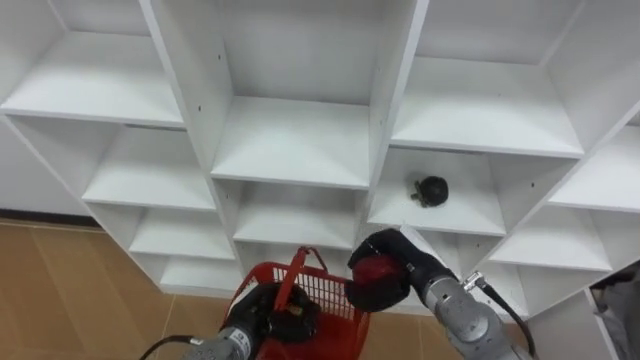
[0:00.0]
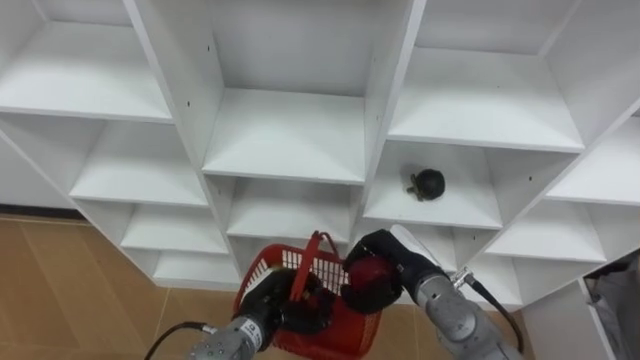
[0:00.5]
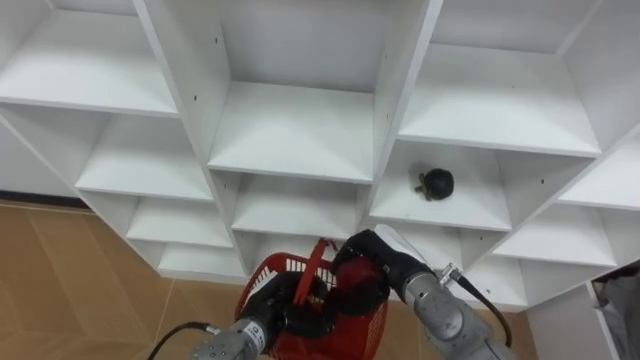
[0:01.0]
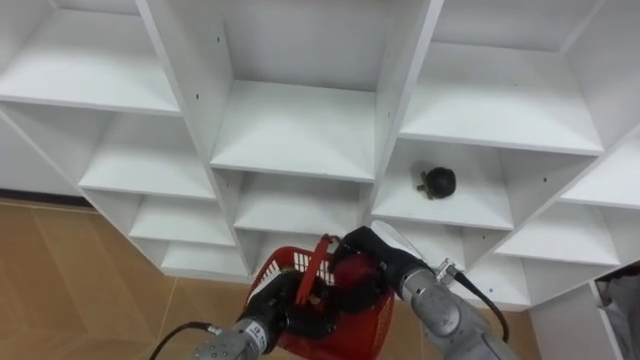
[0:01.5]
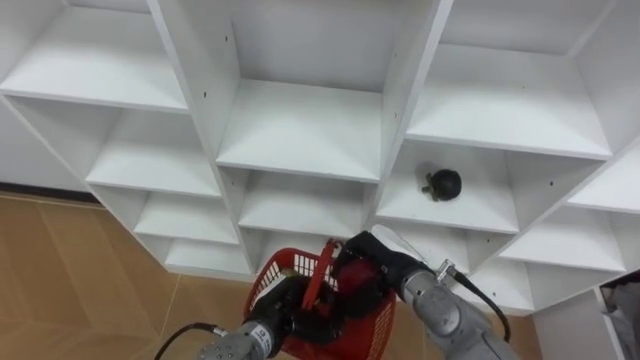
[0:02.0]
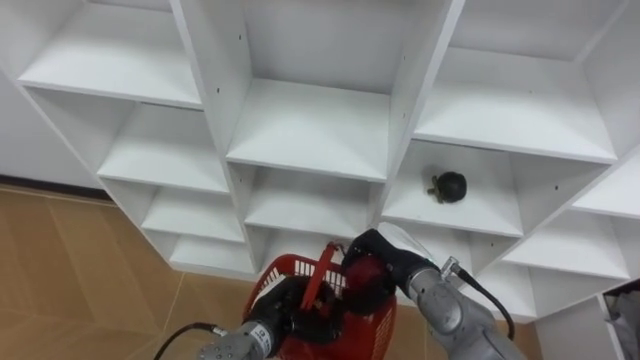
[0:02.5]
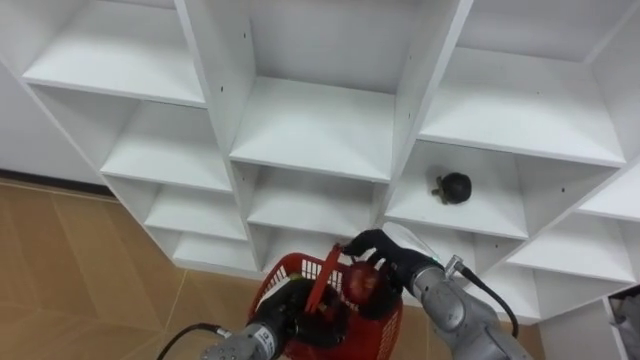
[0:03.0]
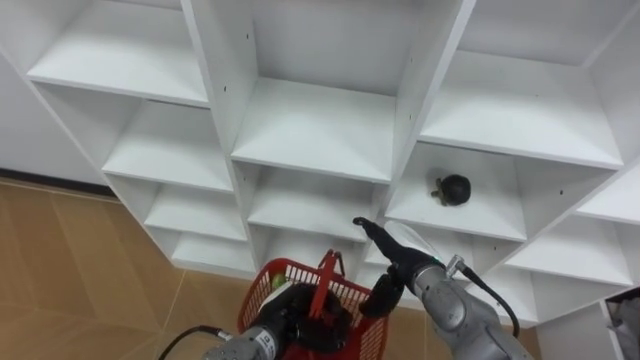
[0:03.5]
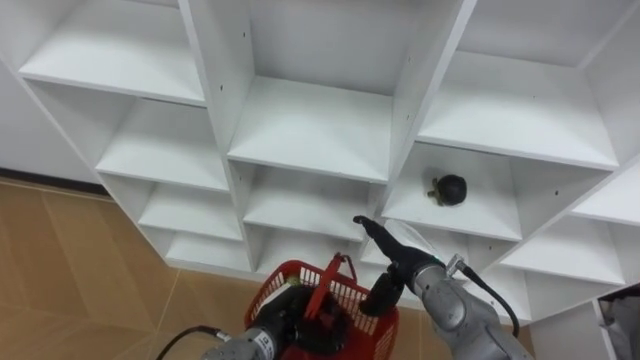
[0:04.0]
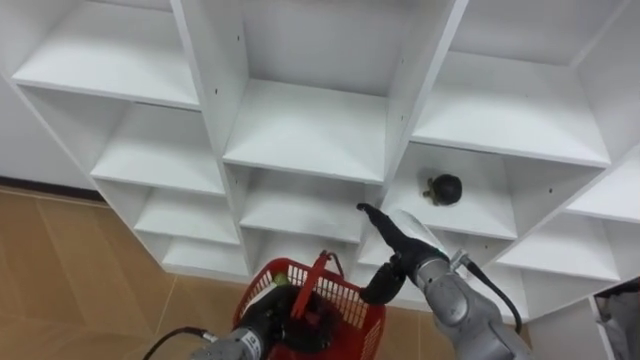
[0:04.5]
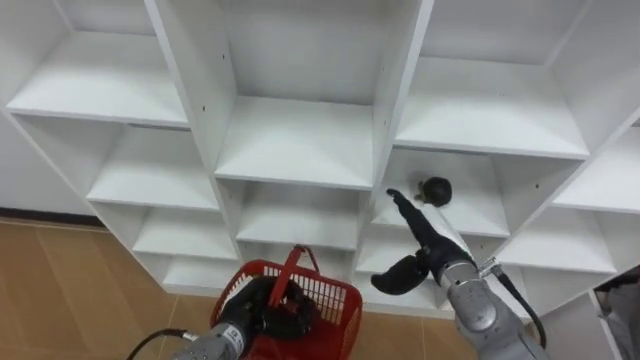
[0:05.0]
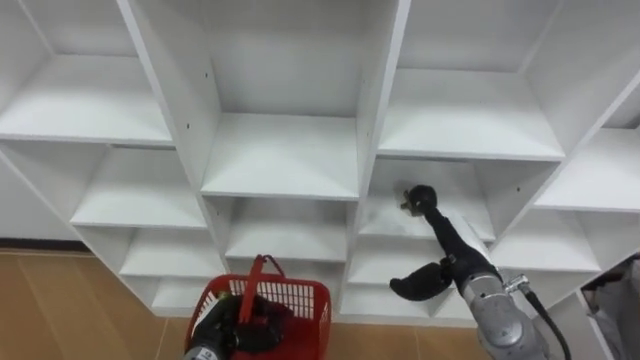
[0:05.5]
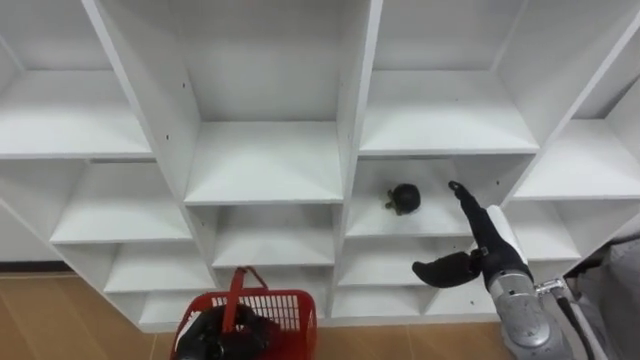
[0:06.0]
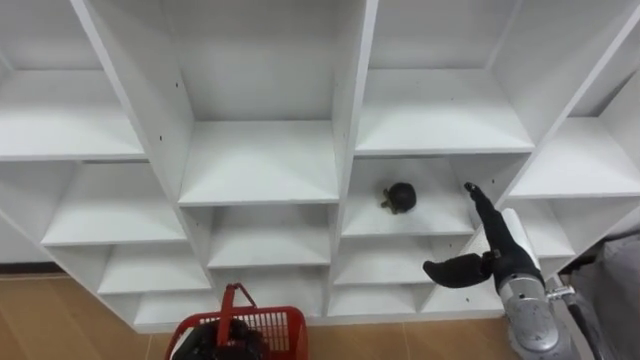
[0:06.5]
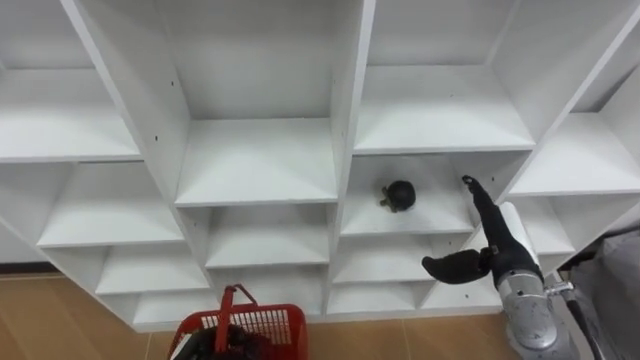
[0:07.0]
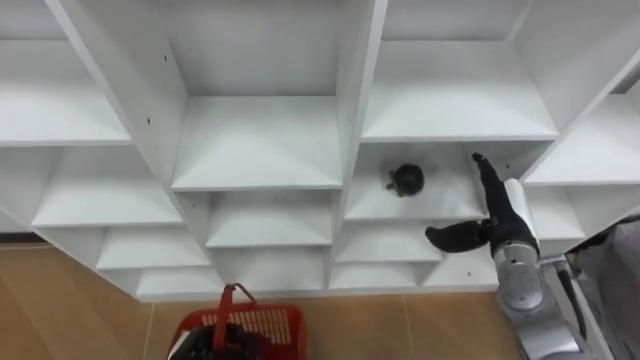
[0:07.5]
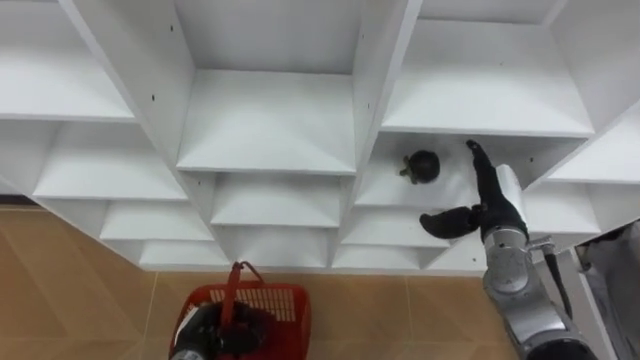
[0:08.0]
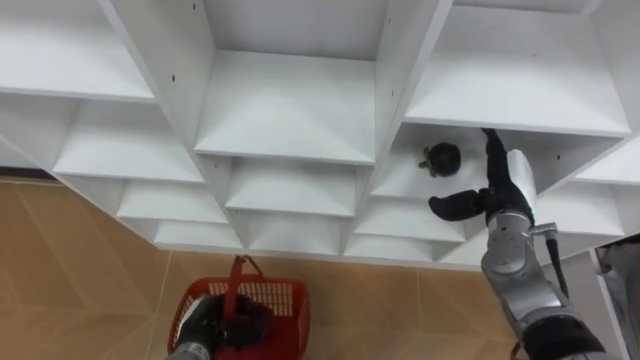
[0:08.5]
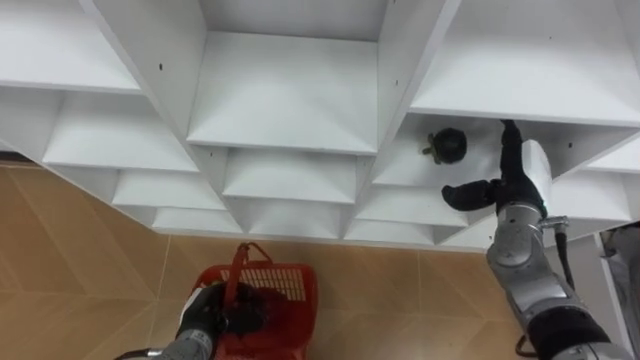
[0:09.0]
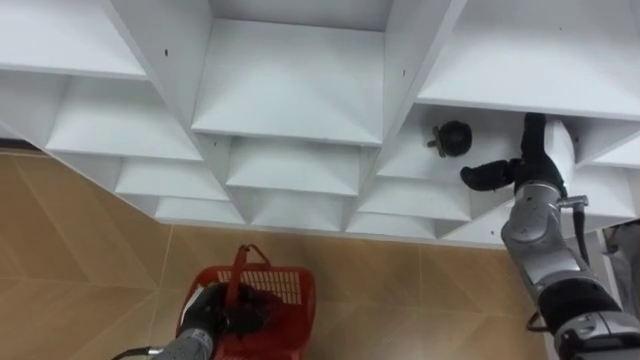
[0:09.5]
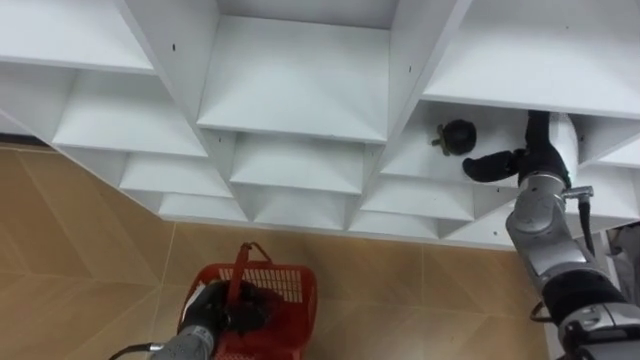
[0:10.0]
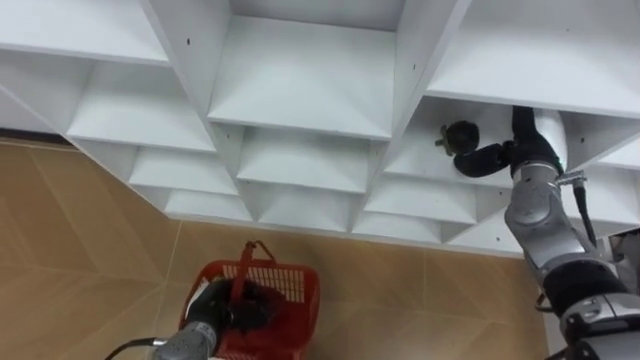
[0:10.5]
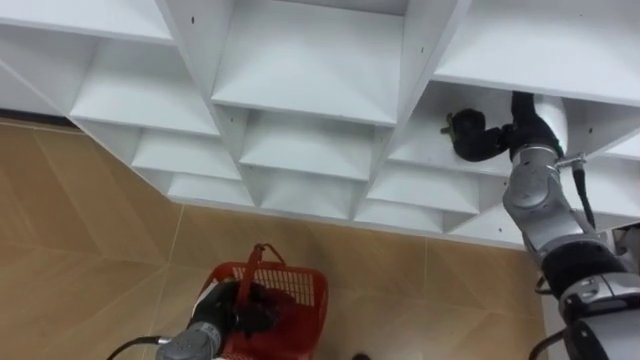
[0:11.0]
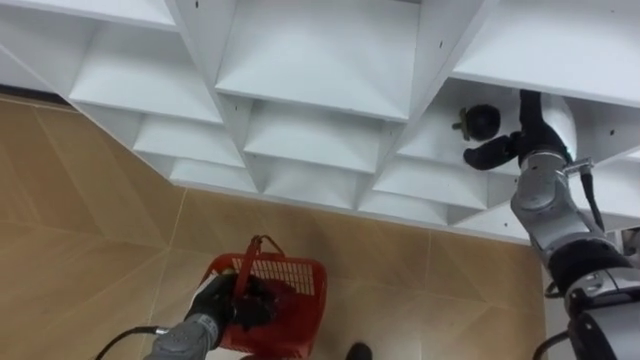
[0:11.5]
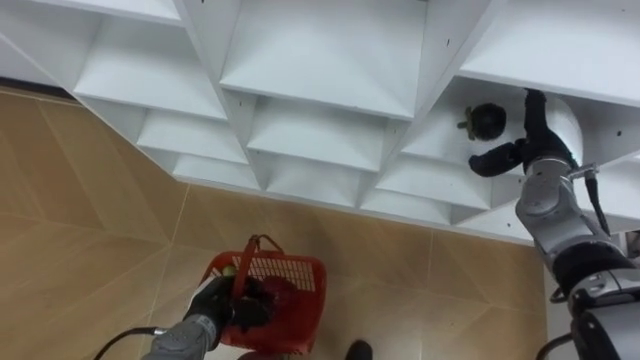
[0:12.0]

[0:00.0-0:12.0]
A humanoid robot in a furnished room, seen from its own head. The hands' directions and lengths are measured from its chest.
Task of the whole recording: Hold the basket and collect the fruits from 3 different cells of the closet into it.
0:02.0 to 0:04.0: The right hand opens its fingers.
0:04.0 to 0:06.0: The left hand shifts roughly 10 cm to the left. The right hand moves to the right, roughly 10 cm.
0:06.0 to 0:08.0: The right hand moves forward, about 5 cm.
0:08.0 to 0:10.0: The right hand moves upward, some 5 cm.

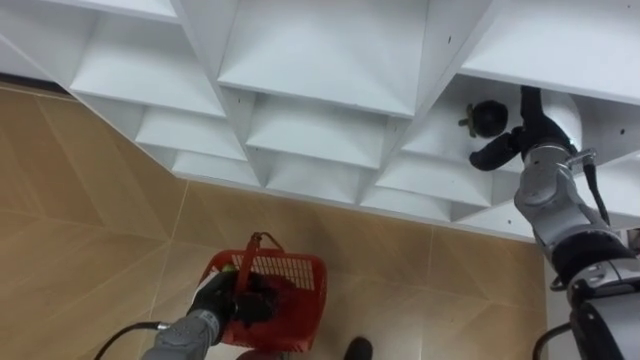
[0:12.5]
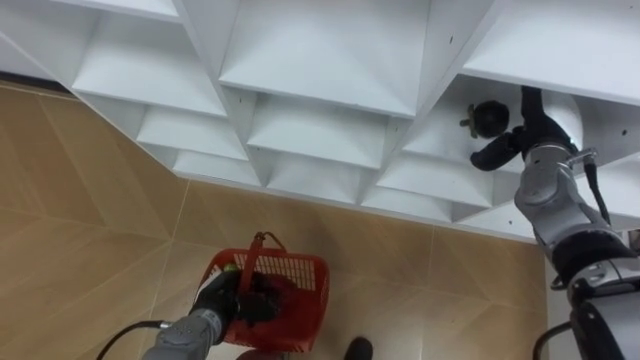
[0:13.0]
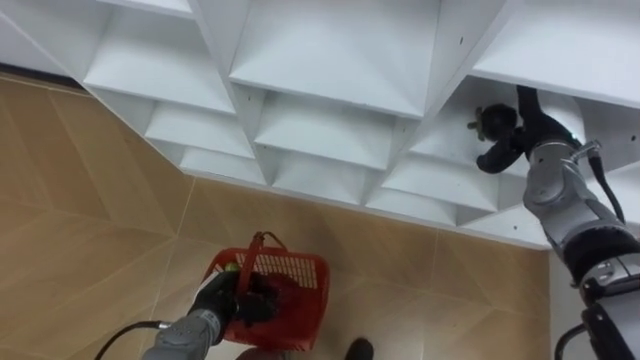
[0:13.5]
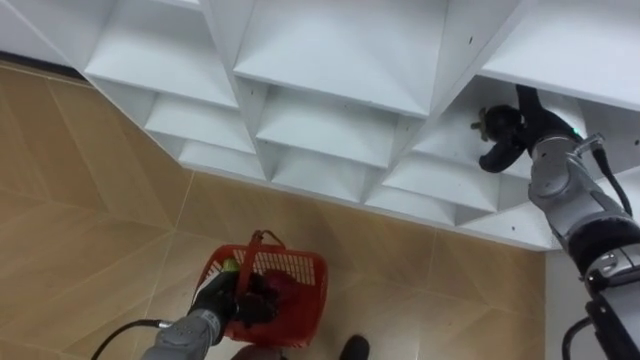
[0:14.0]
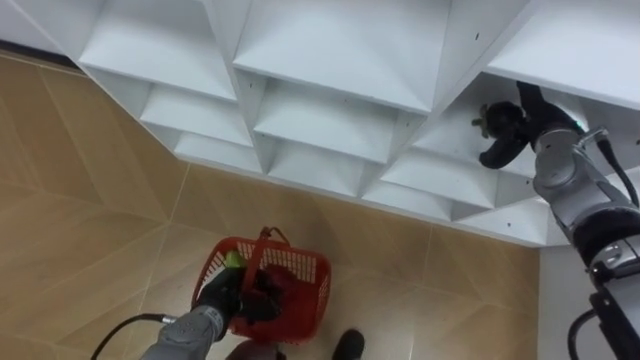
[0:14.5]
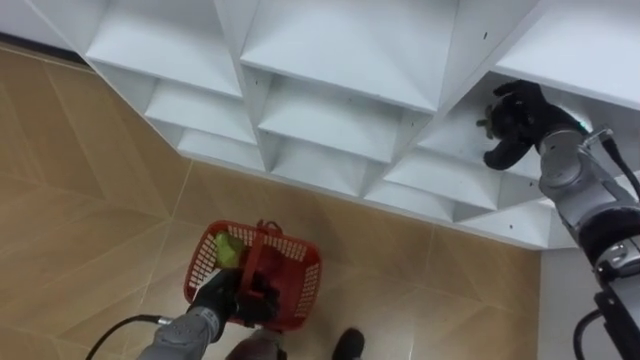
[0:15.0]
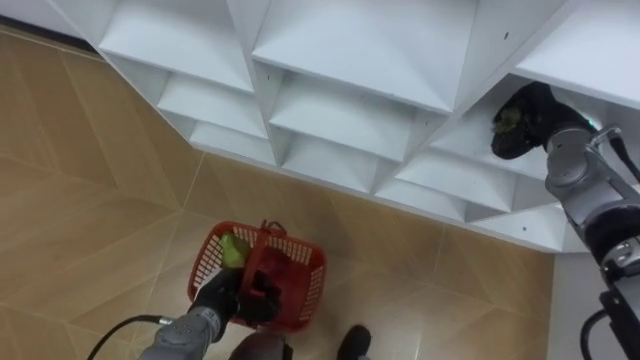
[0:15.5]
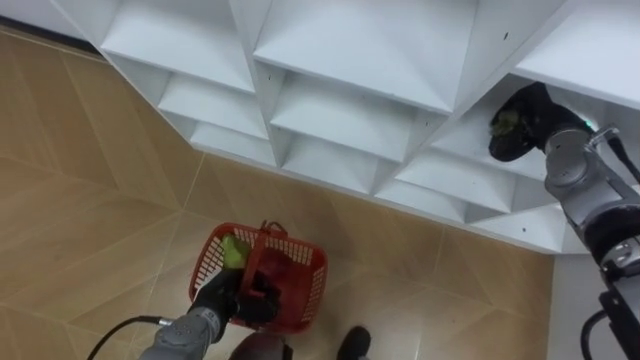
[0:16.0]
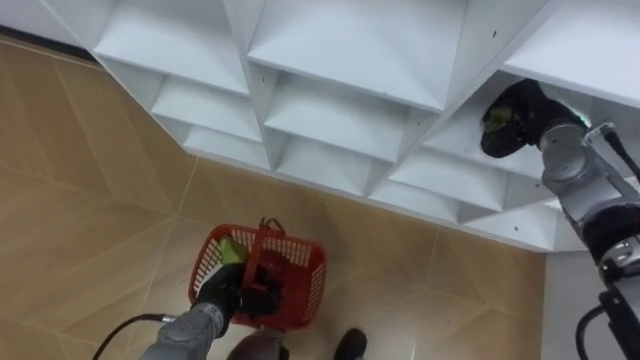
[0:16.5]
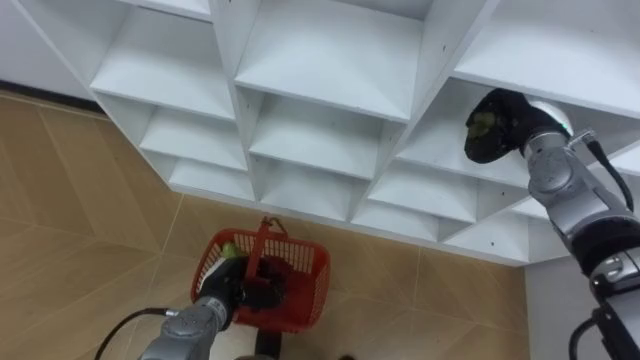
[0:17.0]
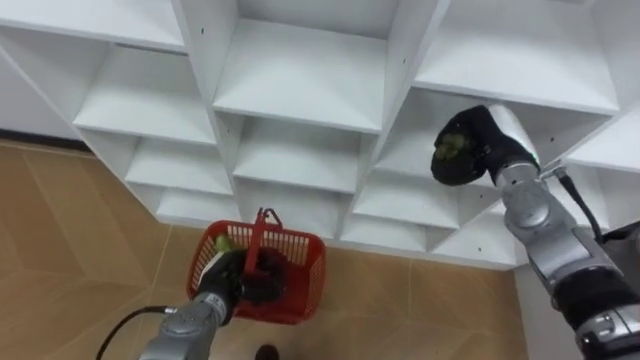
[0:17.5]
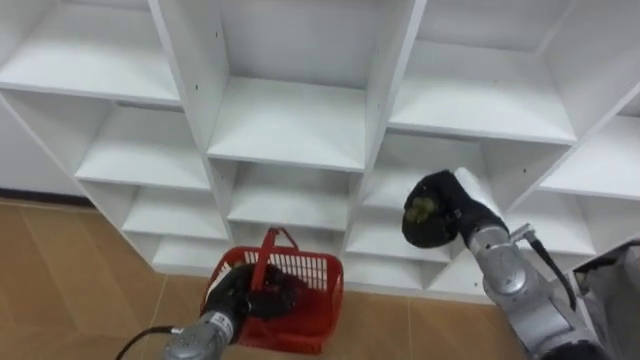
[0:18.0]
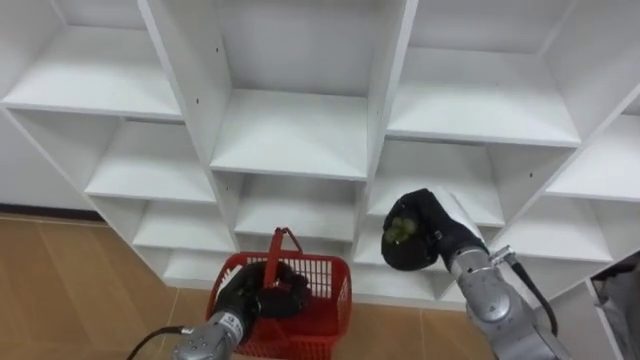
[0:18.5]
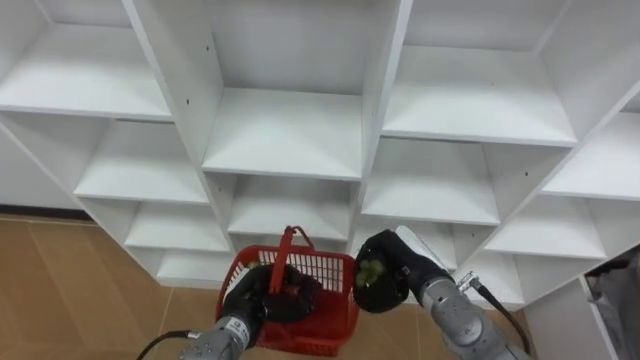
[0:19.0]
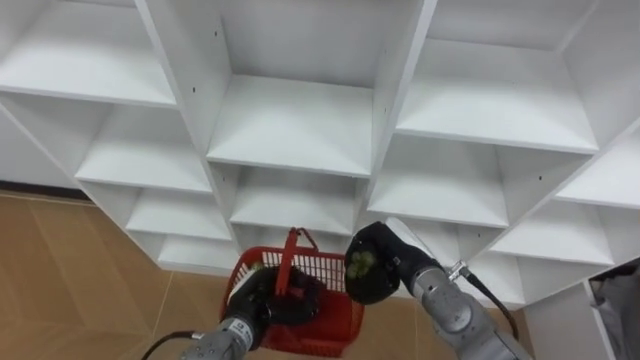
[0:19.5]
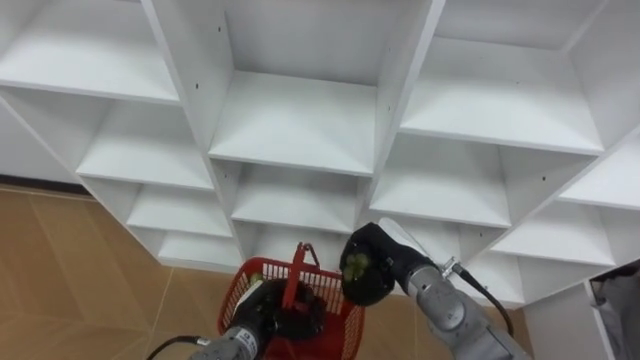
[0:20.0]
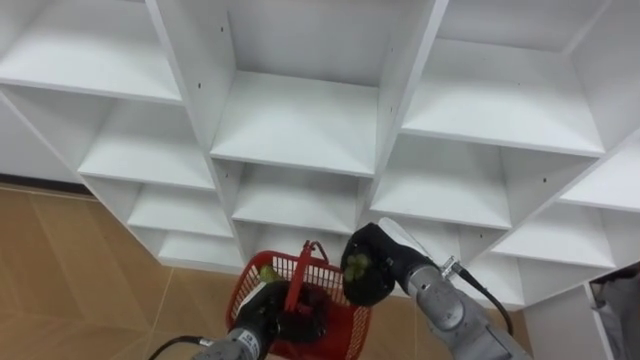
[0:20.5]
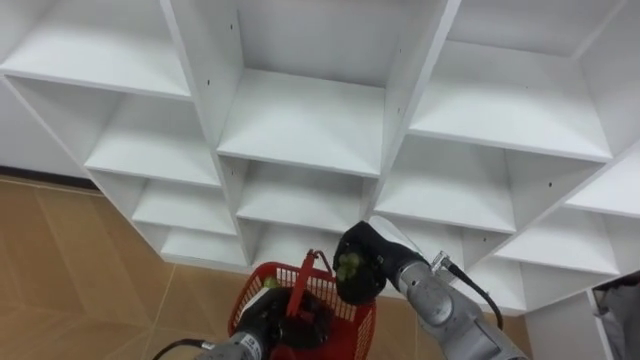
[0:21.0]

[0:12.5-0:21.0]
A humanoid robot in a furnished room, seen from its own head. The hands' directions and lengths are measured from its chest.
Task of the whole recording: Hold the basket and collect the fruits from 3 different cells of the closet into it.
0:14.5 to 0:16.5: The right hand closes up.
0:16.5 to 0:19.0: The left hand ends up roughly 5 cm from where it was. The right hand heads to the left, backward and downward, covering approximately 25 cm.
